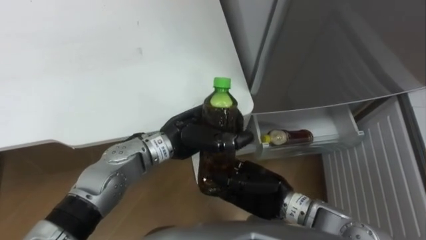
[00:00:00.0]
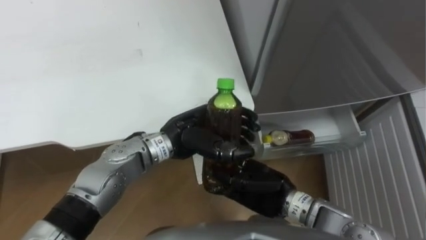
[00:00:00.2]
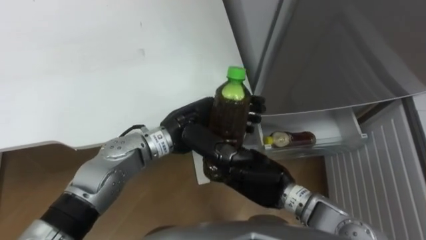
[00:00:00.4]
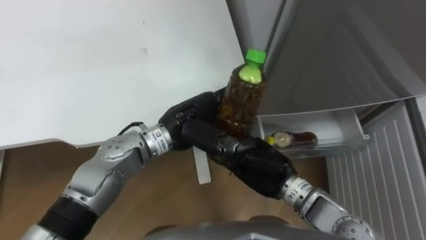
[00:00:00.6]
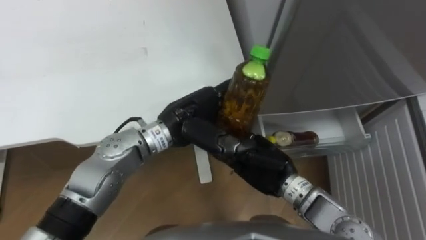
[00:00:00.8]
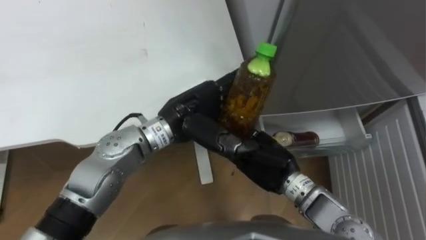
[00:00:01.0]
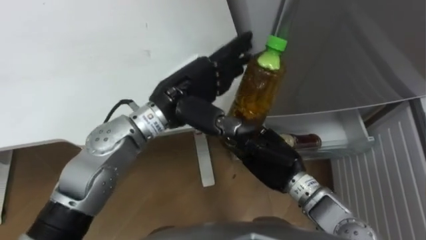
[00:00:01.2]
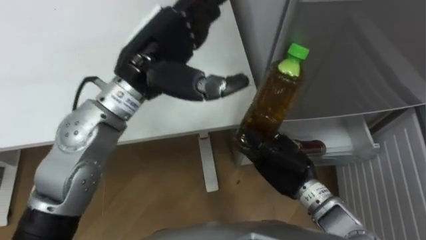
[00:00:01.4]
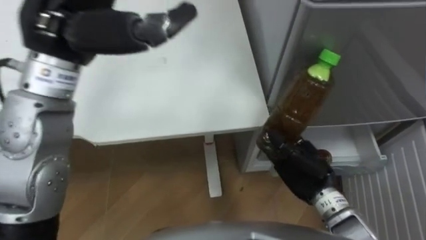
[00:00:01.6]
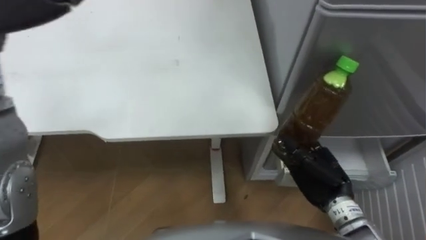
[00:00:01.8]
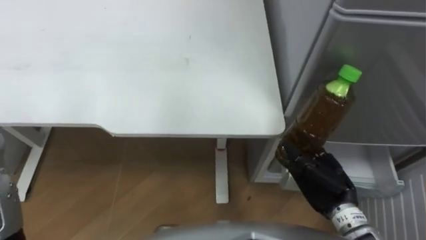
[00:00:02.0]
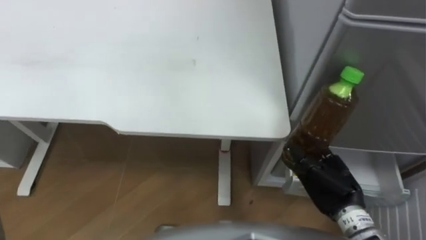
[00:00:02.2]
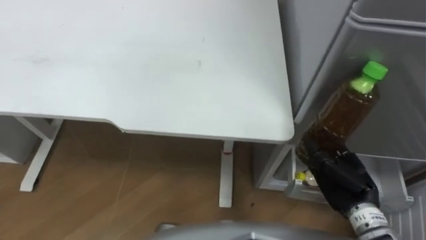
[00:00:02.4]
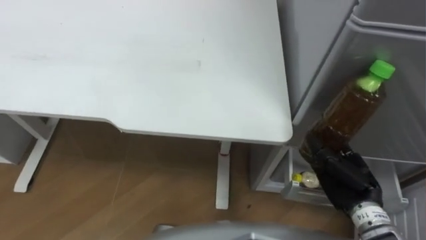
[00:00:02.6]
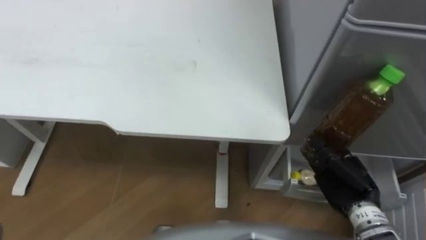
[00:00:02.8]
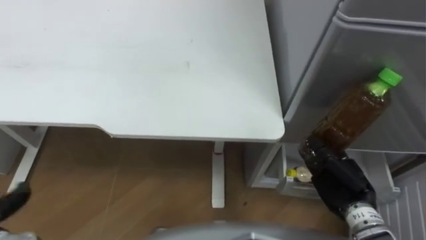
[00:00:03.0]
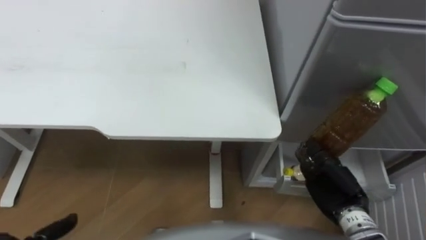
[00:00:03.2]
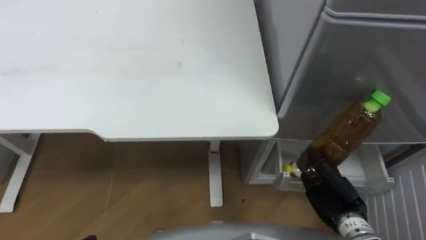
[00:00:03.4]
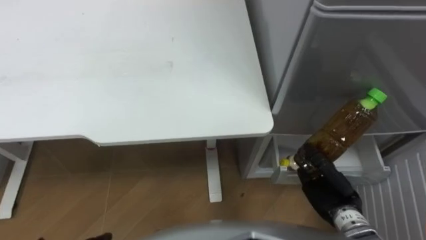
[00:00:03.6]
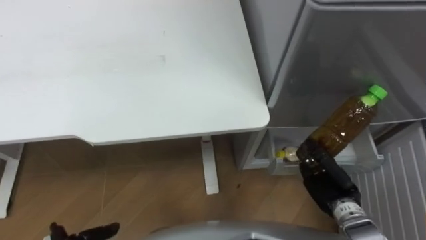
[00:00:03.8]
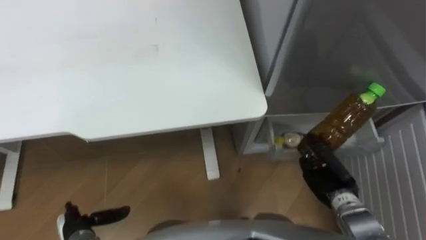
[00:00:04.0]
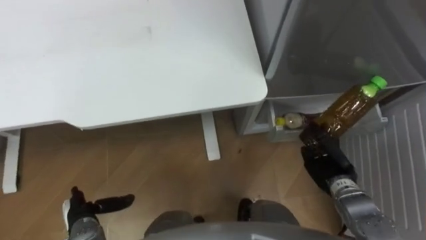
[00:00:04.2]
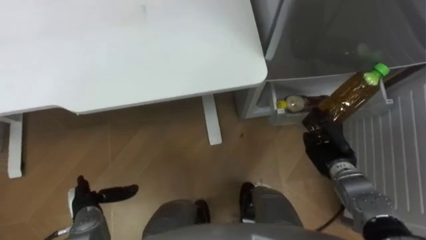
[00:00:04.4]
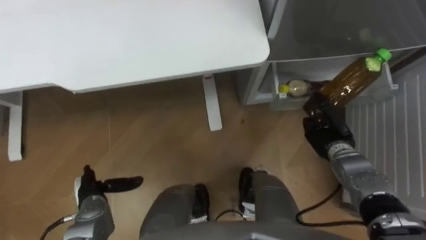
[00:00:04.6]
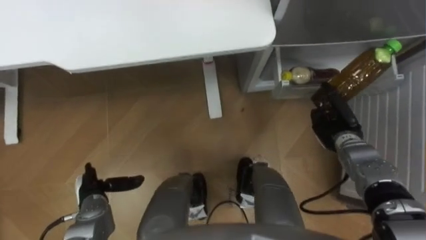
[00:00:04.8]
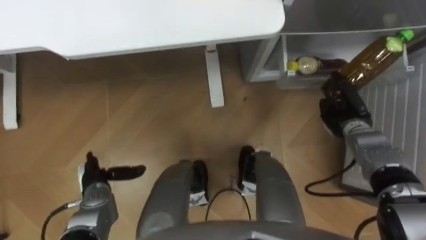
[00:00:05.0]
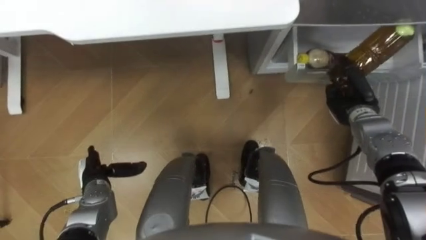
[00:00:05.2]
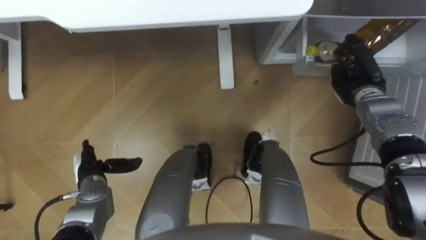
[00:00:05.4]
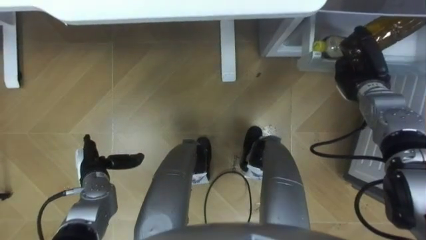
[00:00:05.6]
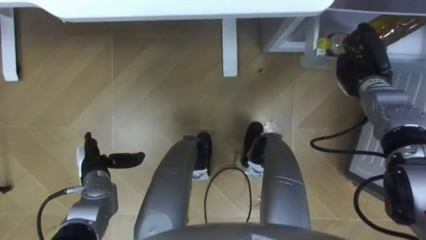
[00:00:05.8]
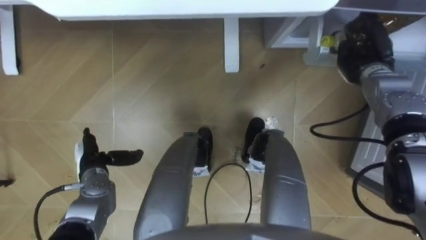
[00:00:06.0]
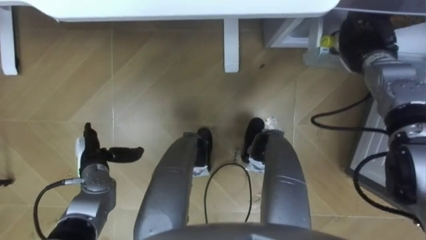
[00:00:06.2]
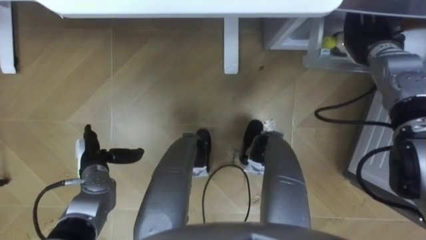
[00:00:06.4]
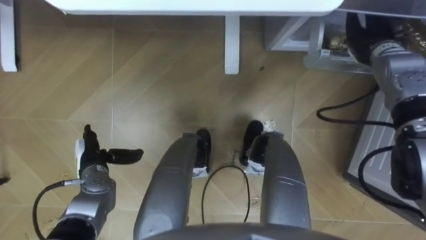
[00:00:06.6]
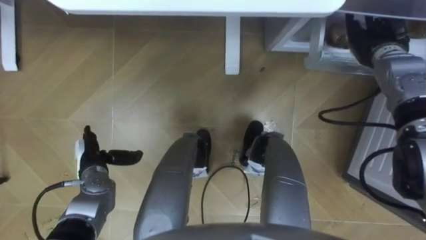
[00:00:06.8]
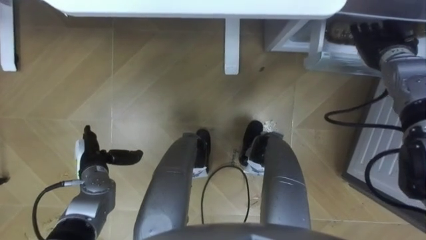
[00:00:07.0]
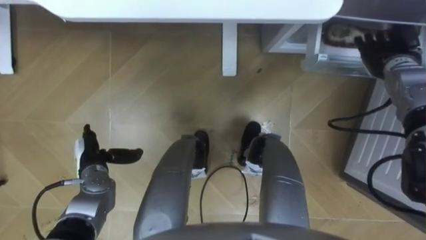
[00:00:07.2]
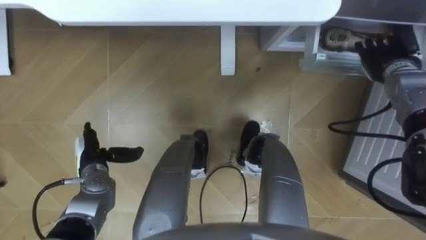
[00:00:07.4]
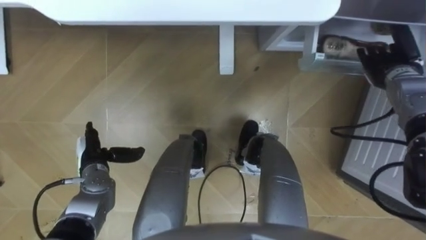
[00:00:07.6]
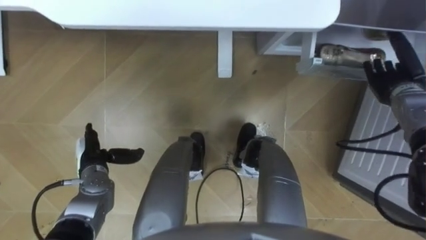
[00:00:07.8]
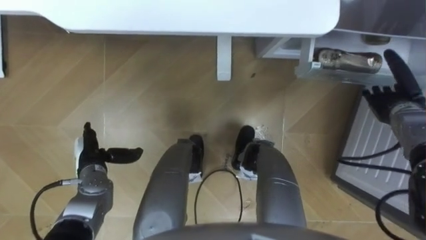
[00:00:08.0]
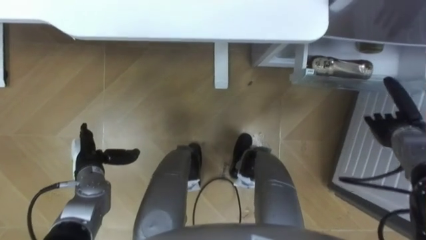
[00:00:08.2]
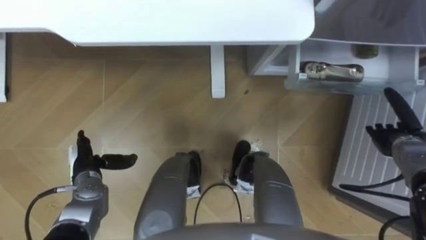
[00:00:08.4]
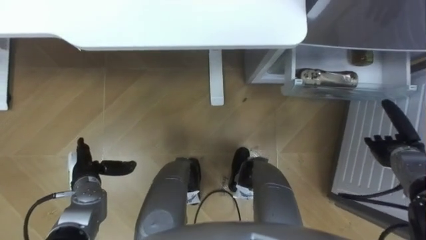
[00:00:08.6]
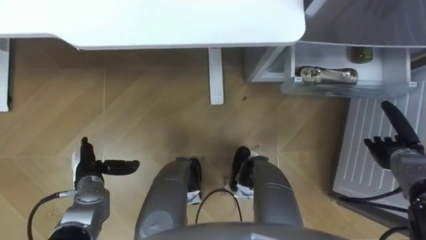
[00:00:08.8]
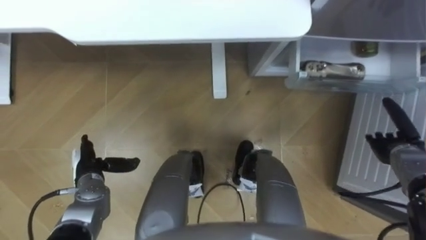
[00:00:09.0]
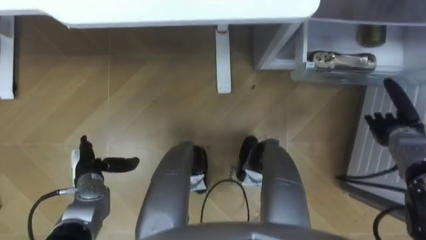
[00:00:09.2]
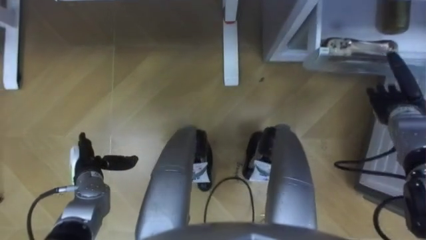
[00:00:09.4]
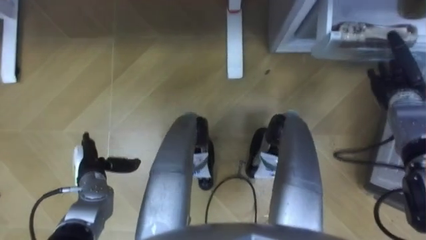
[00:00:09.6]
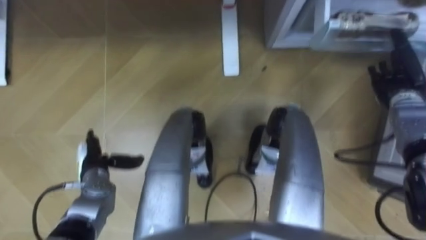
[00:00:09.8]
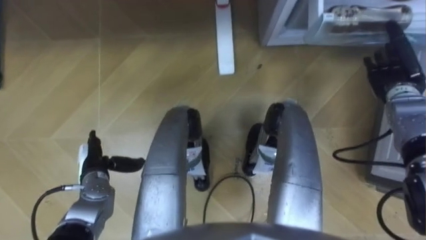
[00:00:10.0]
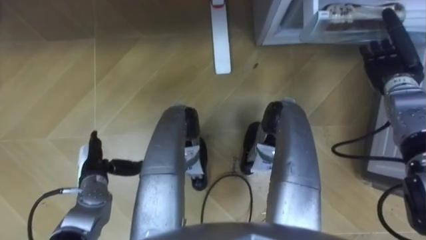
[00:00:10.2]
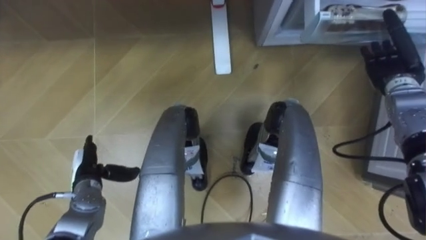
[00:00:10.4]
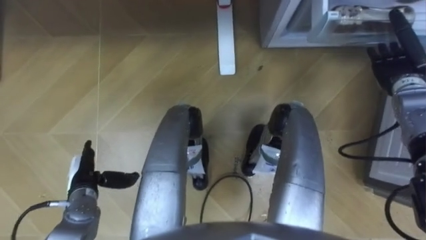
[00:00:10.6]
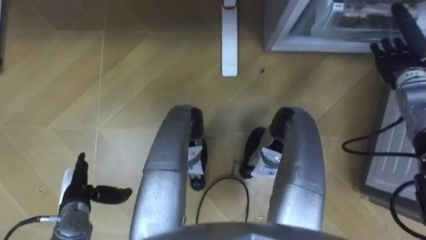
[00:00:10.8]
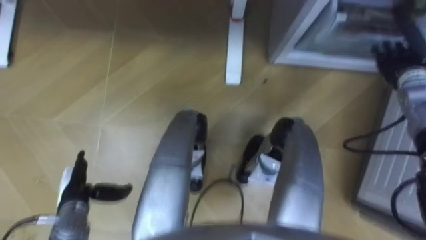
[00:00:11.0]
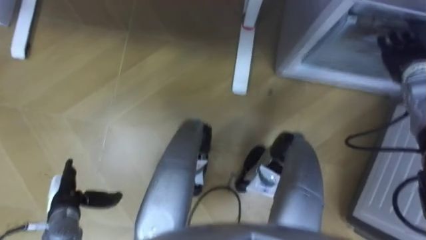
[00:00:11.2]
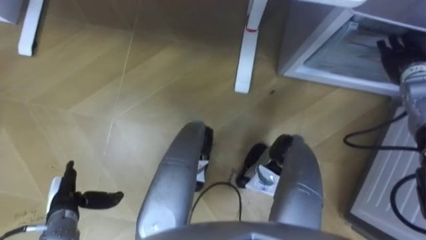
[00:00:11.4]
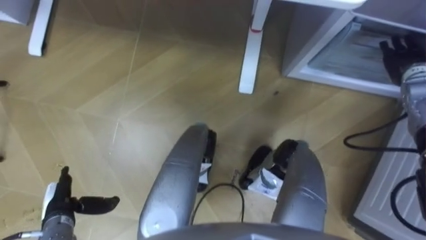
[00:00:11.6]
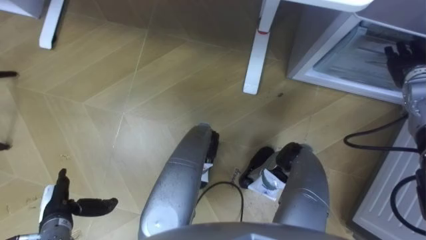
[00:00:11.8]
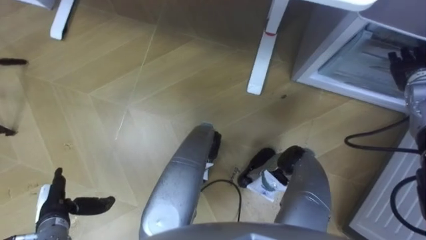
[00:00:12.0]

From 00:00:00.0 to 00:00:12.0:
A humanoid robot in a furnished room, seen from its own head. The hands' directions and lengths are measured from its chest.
Task of the whole recording: Place the drink on the table on the bottom shelf of the refrigerator, then close the drawer and the refrigerator door.
From 00:00:00.0 to 00:00:01.6: The left hand moves upward and to the left, roughly 30 cm, and opens up. The right hand goes some 10 cm to the right.
From 00:00:01.6 to 00:00:03.0: The right hand travels to the right by roughly 5 cm.
From 00:00:03.0 to 00:00:04.4: The right hand shifts about 10 cm forward and downward.
From 00:00:04.4 to 00:00:06.0: The left hand shifts about 10 cm forward. Meanwhile the right hand travels forward and upward by about 20 cm.
From 00:00:06.0 to 00:00:07.6: The right hand opens its fingers.
From 00:00:07.6 to 00:00:09.0: The right hand moves backward and downward, some 15 cm.
From 00:00:09.0 to 00:00:10.4: The right hand heads forward and upward, covering about 15 cm.
From 00:00:10.4 to 00:00:12.0: The left hand heads backward and to the left, covering some 10 cm.

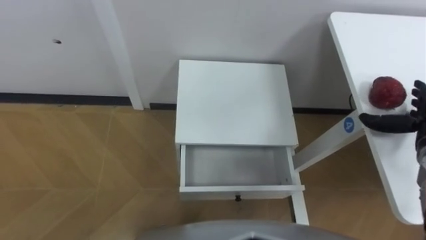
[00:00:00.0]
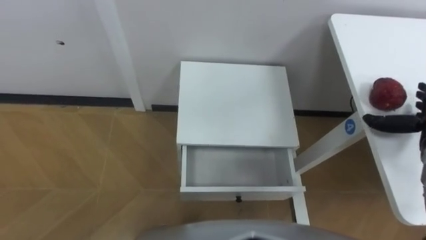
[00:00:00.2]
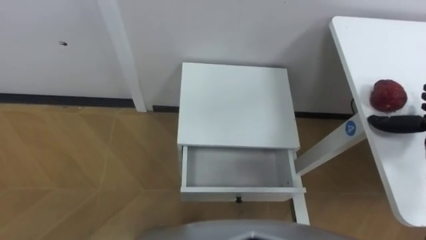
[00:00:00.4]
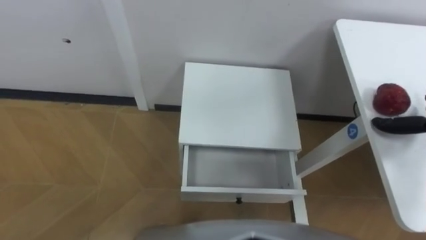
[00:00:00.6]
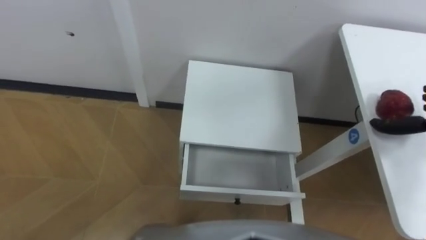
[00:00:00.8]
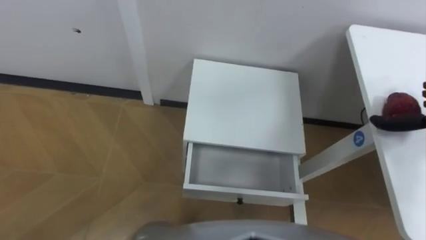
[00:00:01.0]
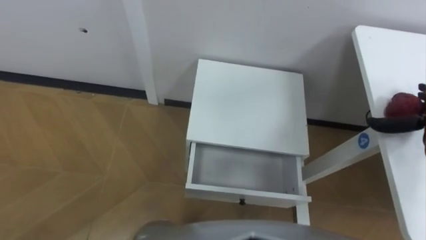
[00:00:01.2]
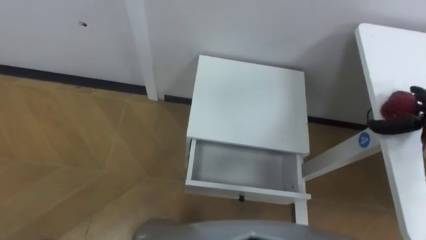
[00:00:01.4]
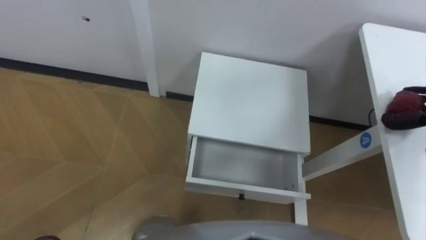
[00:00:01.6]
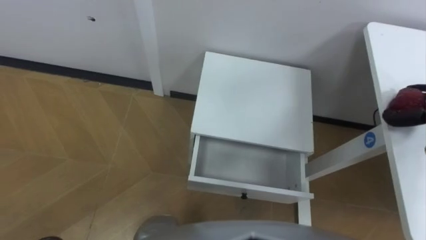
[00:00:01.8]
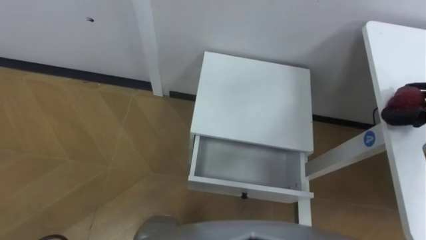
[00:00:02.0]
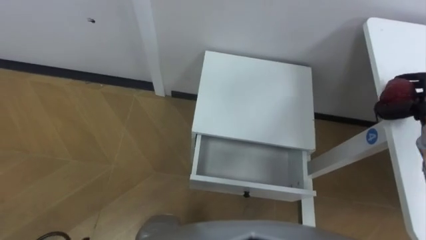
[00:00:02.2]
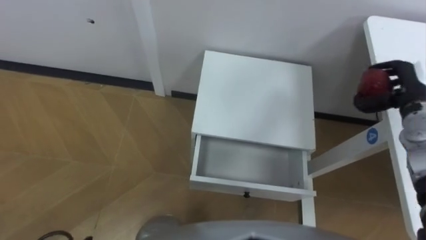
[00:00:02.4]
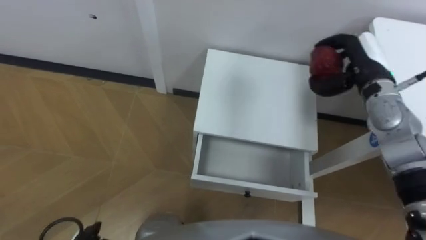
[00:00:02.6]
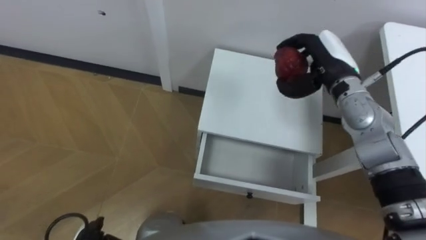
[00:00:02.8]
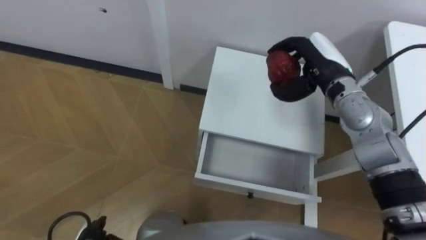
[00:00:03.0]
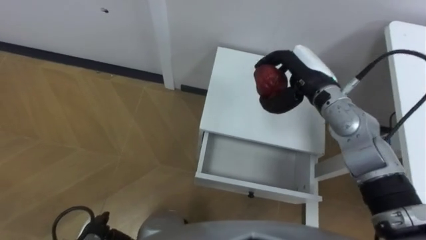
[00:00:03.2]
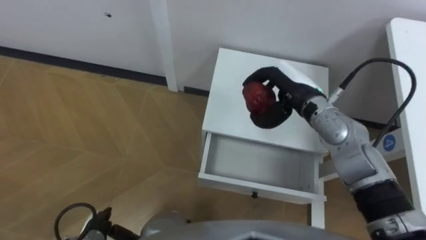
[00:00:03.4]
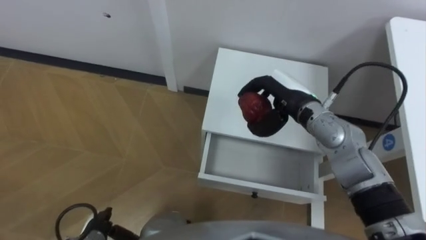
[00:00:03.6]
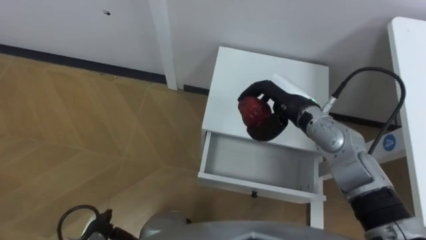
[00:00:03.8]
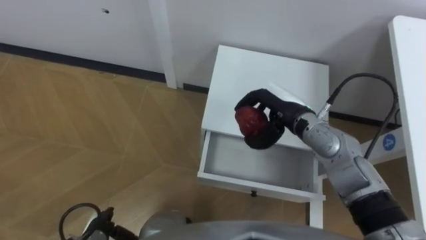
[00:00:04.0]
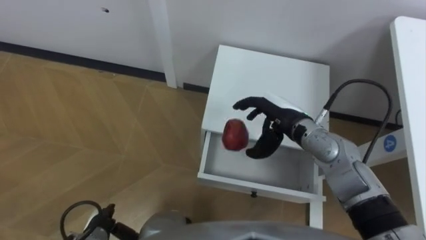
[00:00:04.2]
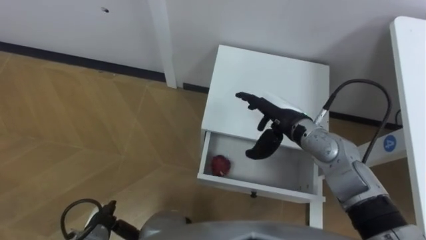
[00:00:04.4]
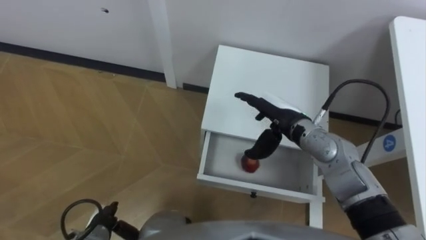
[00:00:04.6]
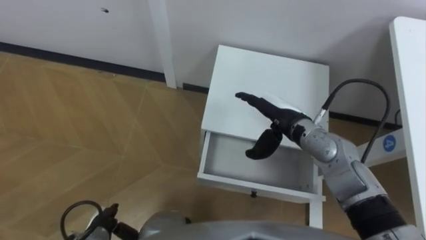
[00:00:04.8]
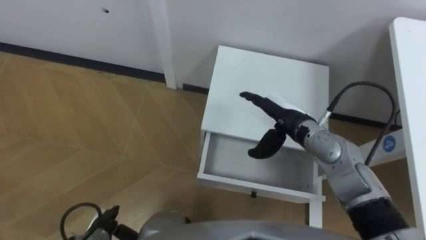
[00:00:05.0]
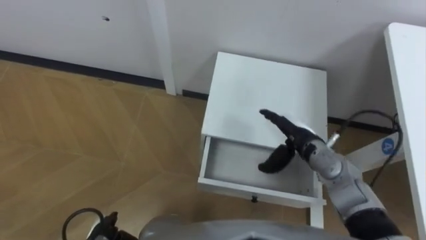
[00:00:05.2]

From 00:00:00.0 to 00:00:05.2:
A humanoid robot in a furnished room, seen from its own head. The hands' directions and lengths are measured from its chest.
Task of the whole recording: Pick up the apple from the table, put it in the drawer, and close the drawer with leg.
From 00:00:03.4 to 00:00:05.2: The right hand heads downward and backward, covering approximately 10 cm, and opens up.
